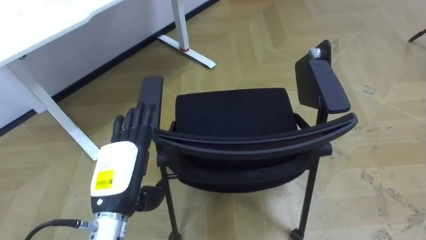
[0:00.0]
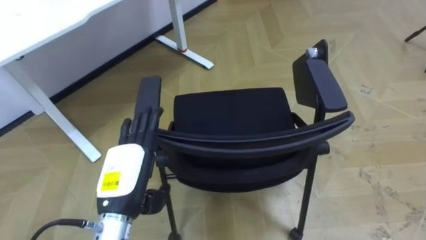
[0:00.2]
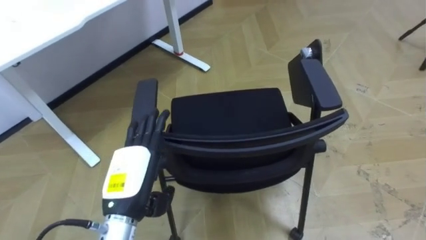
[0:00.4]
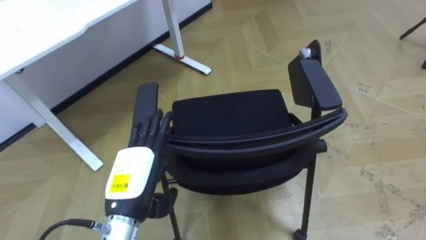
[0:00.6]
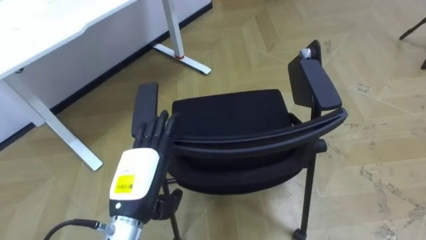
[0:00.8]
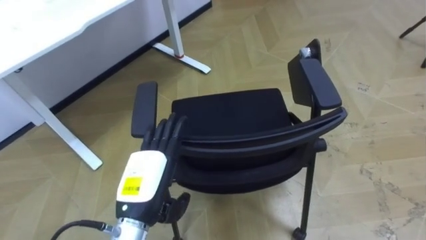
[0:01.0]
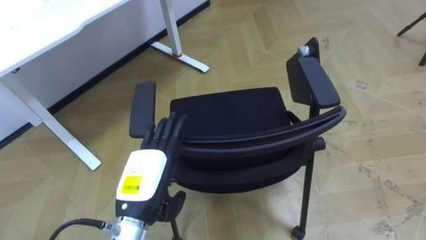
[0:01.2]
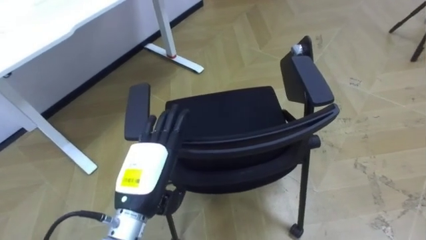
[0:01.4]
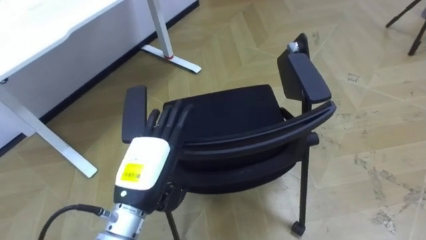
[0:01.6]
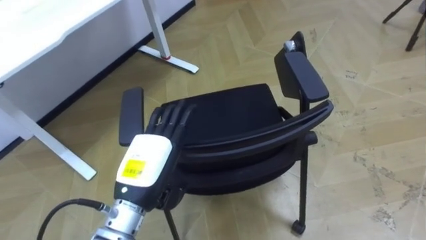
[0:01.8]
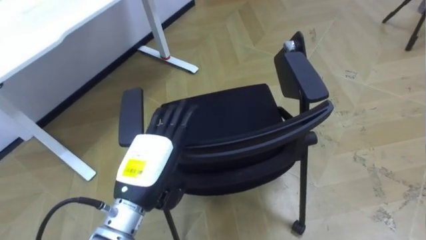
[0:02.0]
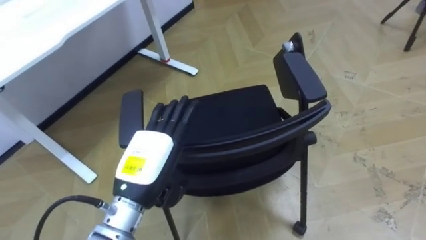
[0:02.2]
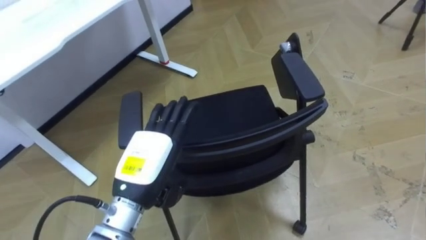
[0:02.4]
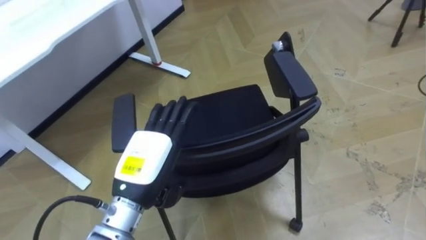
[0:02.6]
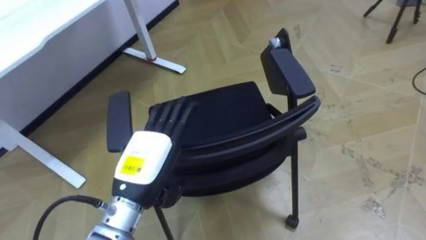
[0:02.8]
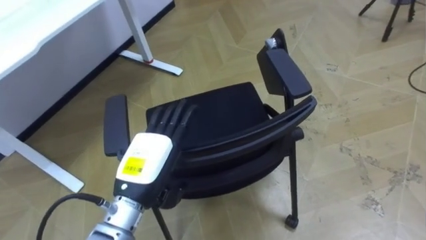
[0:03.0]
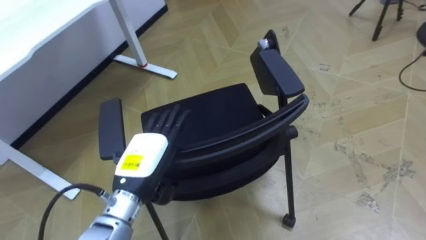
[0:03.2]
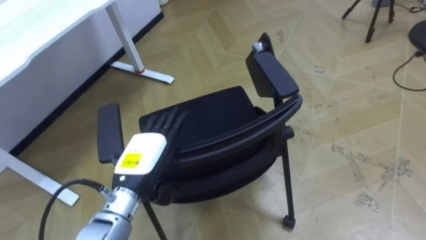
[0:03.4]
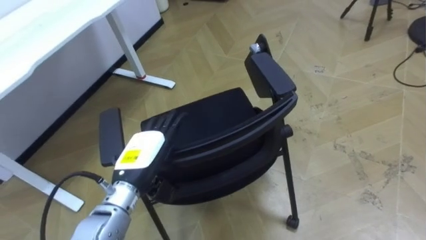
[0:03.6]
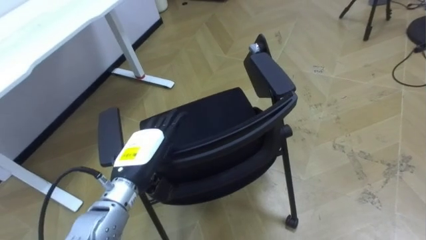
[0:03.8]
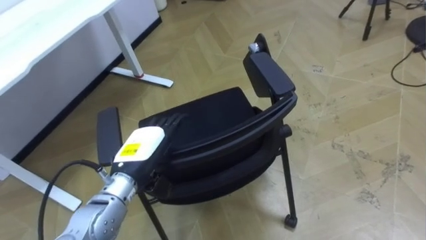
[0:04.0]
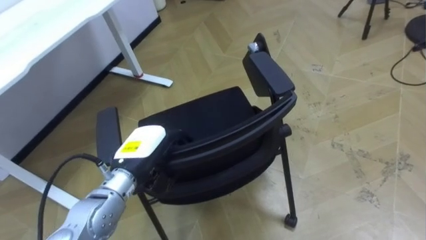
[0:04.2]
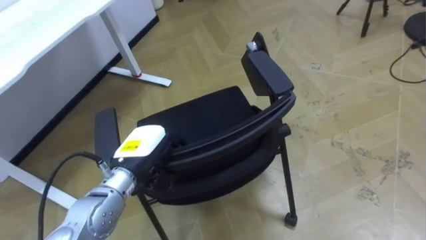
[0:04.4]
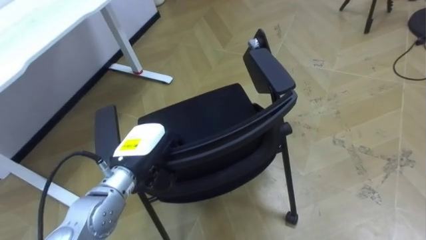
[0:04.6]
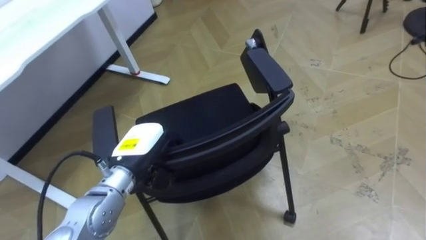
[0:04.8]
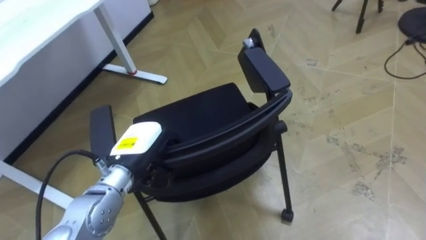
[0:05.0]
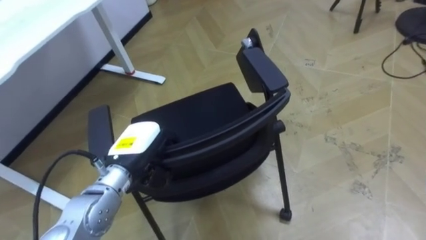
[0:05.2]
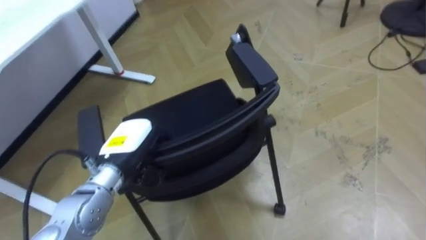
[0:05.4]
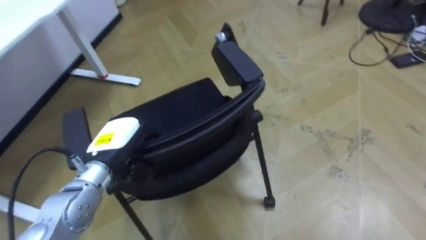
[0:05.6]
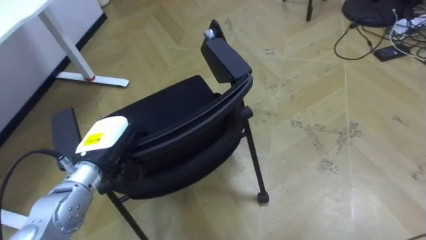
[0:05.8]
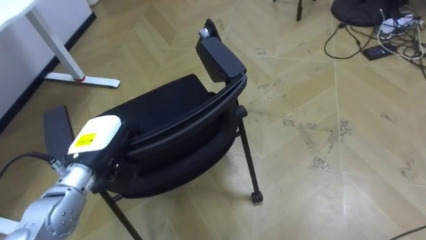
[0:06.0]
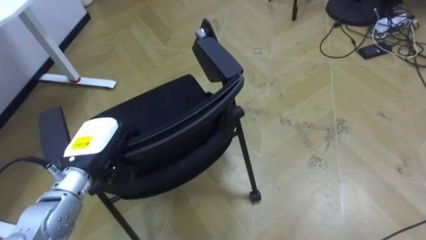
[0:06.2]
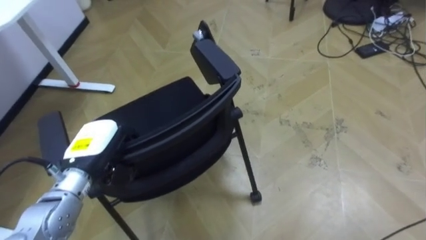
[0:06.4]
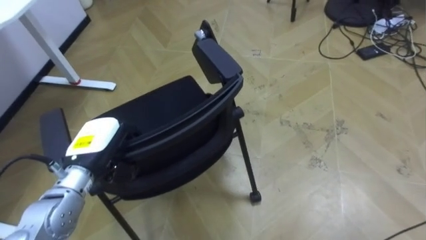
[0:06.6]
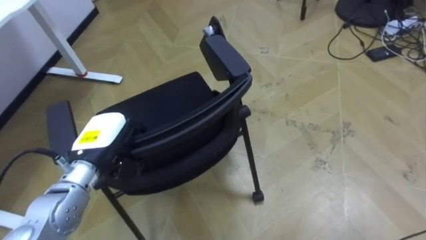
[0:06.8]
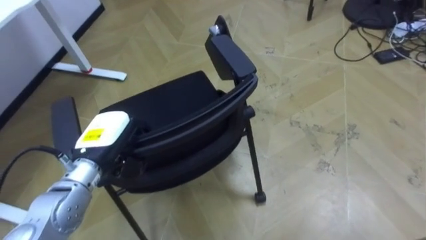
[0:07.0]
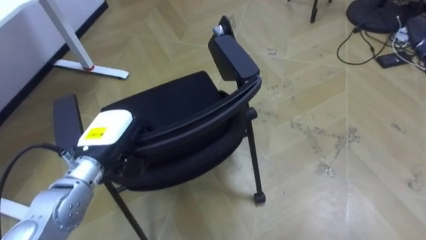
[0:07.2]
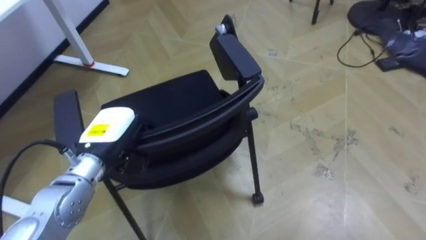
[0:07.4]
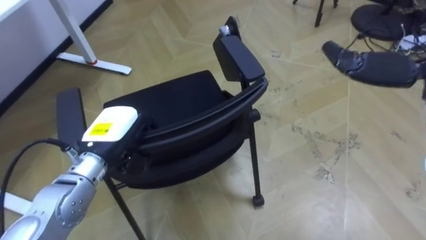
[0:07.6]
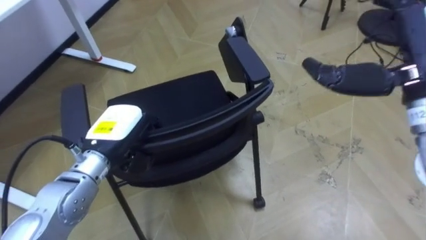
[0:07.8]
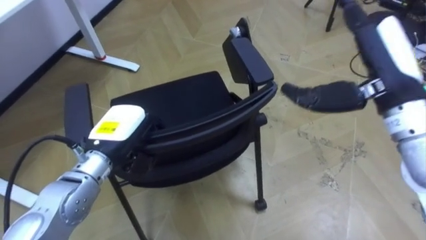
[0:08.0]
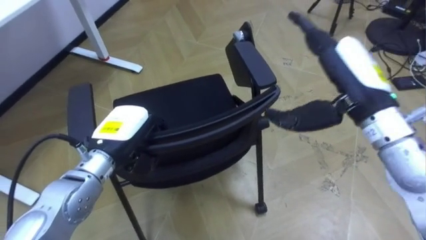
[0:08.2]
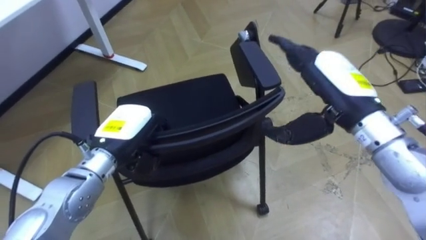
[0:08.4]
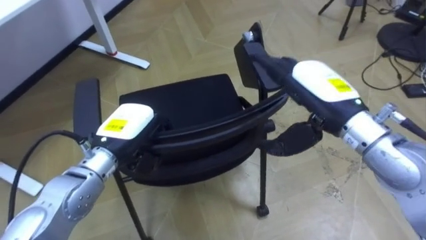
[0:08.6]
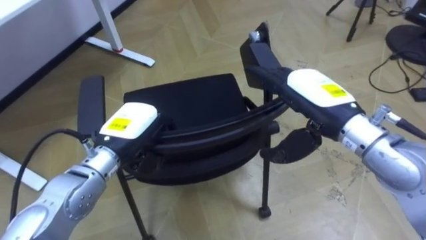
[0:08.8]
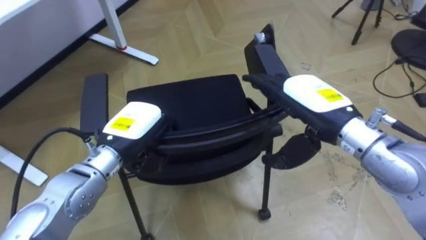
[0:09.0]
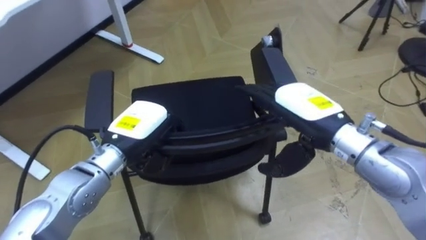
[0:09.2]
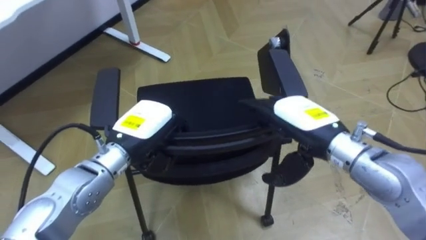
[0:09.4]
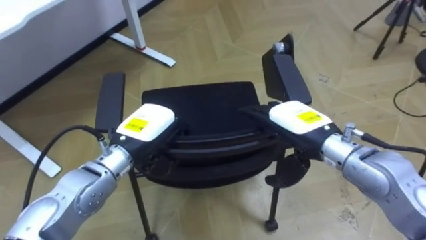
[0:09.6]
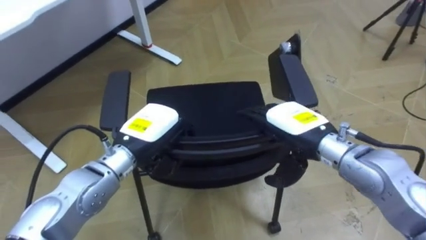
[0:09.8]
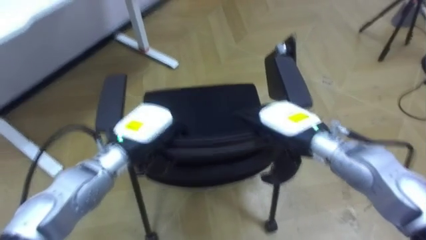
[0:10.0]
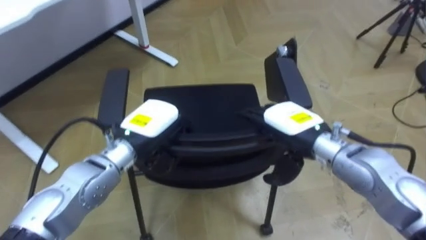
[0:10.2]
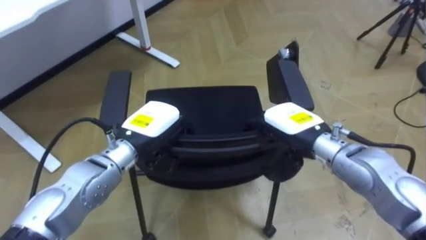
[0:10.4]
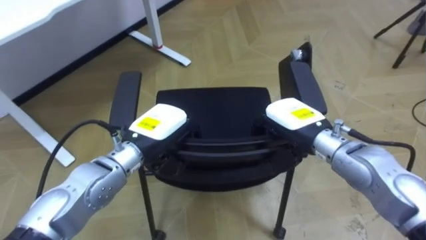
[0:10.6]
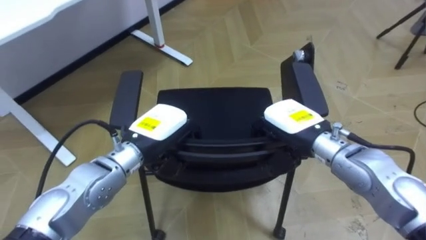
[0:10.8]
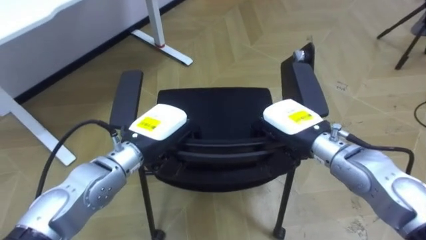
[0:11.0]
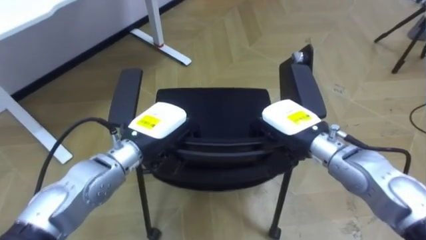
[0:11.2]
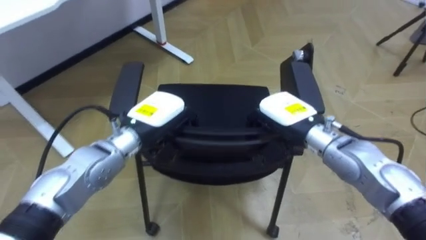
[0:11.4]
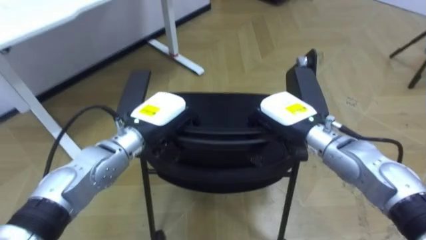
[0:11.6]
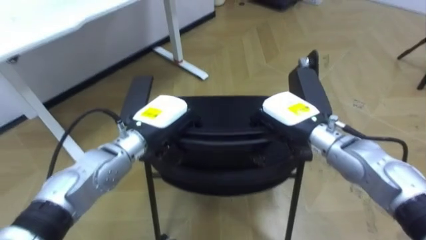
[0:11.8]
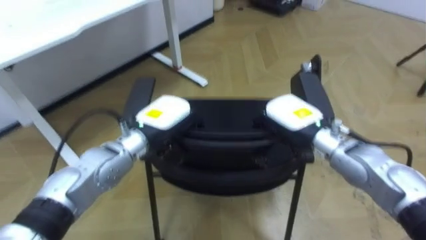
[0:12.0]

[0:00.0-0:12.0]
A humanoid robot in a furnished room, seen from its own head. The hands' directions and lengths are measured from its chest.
Task of the whole recording: Push the chair under the table.
0:03.0 to 0:04.4: The left hand changes place by some 5 cm, and closes up.
0:04.4 to 0:06.0: The left hand travels to the left by some 5 cm.
0:09.0 to 0:10.4: The right hand moves downward, roughly 10 cm.
0:10.4 to 0:12.0: The right hand closes its fingers.

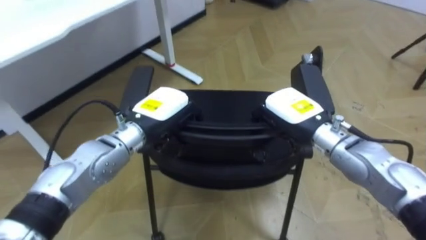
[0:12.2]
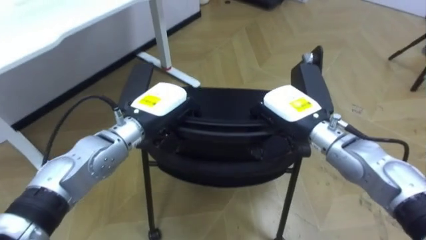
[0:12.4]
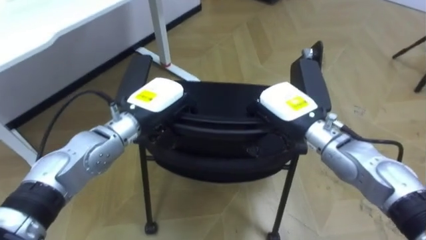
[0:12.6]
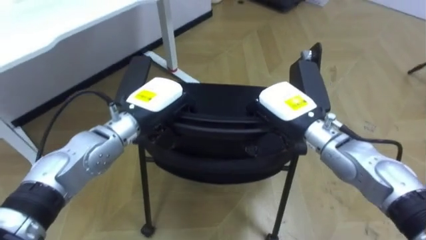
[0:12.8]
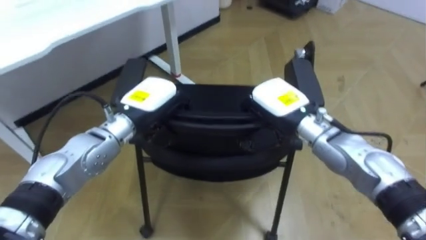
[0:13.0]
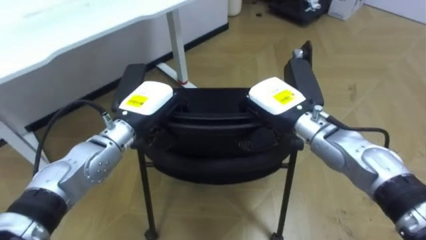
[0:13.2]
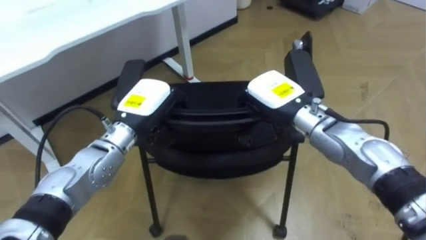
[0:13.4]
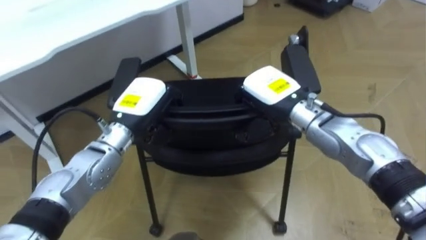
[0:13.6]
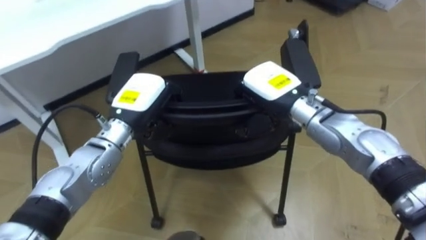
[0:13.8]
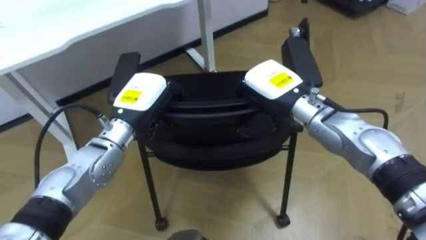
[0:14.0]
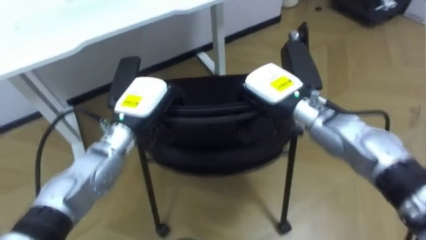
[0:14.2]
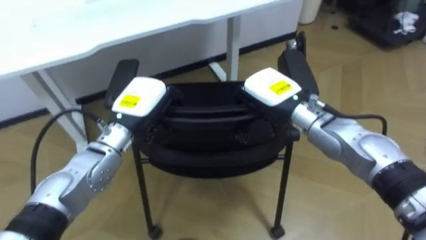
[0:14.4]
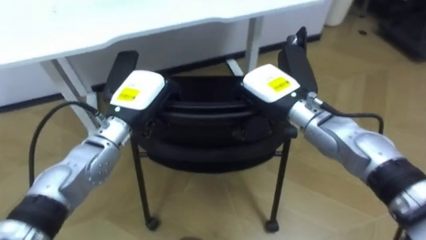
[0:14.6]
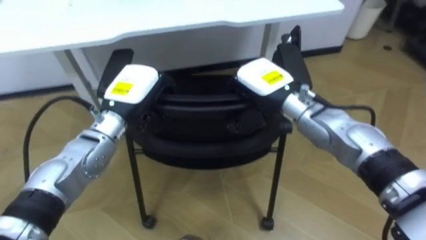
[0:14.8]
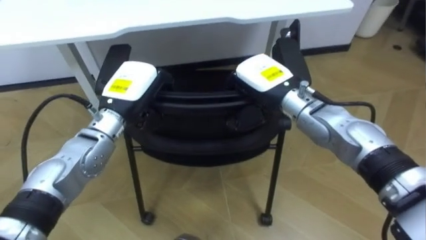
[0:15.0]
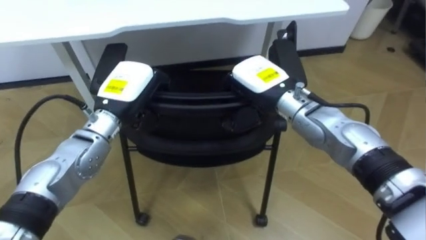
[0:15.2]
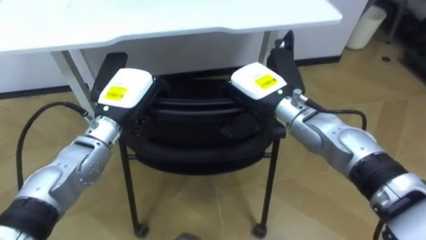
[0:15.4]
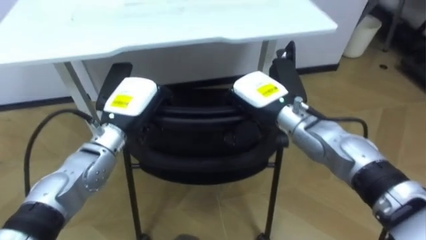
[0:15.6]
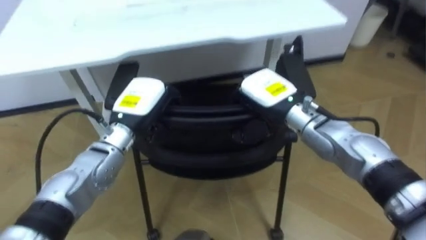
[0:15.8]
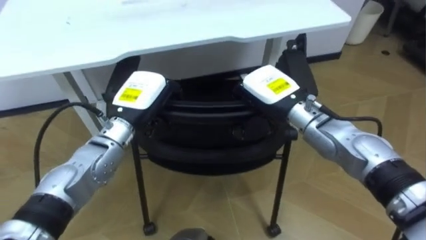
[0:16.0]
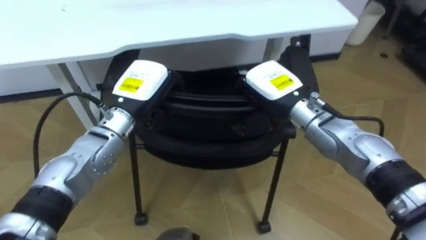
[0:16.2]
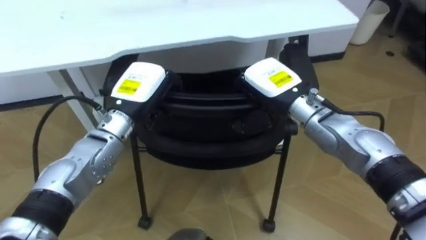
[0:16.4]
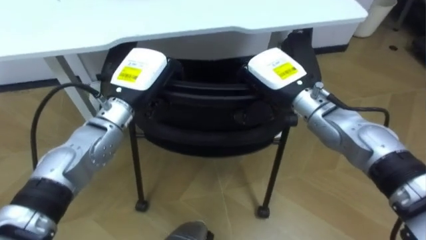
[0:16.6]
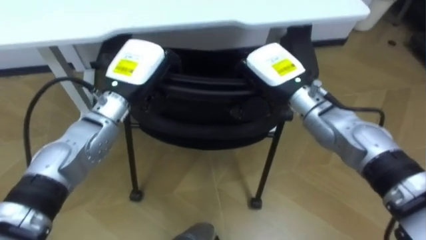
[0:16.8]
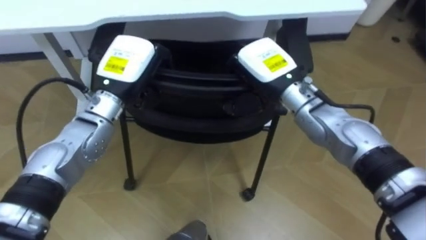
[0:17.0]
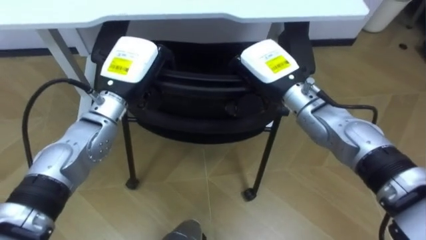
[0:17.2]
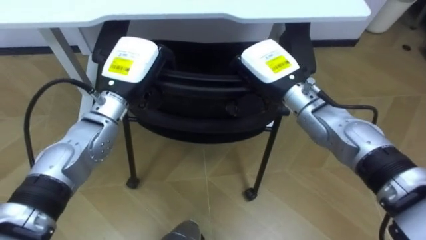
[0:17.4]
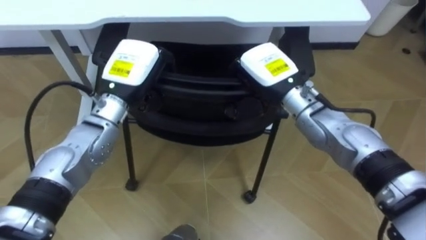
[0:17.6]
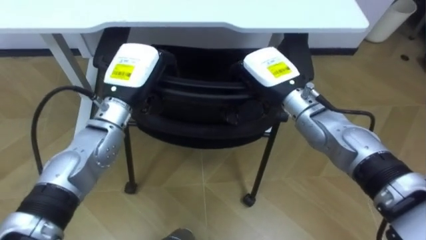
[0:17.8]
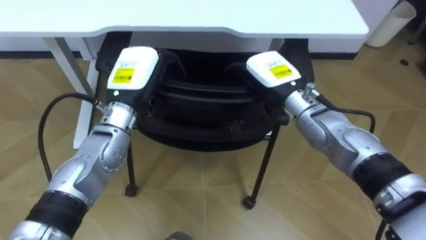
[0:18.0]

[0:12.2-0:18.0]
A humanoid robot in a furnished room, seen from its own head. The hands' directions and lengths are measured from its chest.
Task of the whole recording: Push the chair under the table.
0:12.2 to 0:13.6: The right hand changes place by some 5 cm.
0:13.6 to 0:15.0: The robot faces about 20 degrees further to its left.
0:16.6 to 0:18.0: The right hand opens. Meanwhile the left hand opens.
